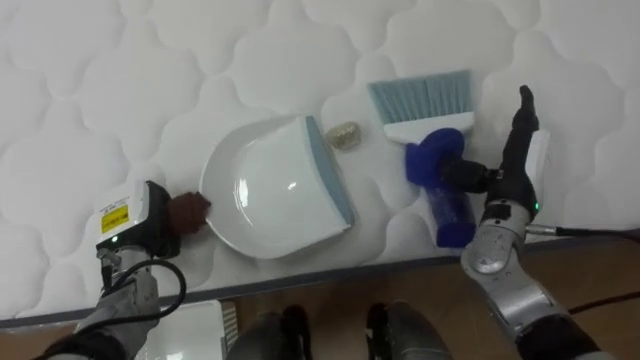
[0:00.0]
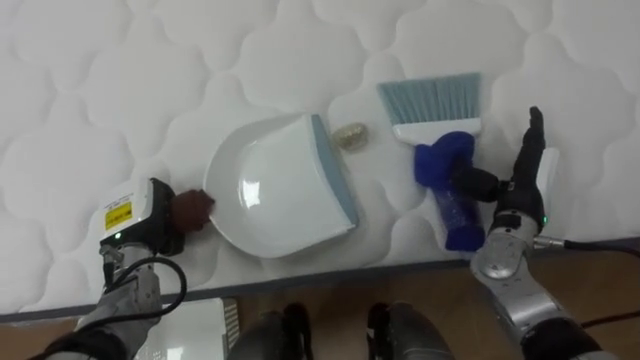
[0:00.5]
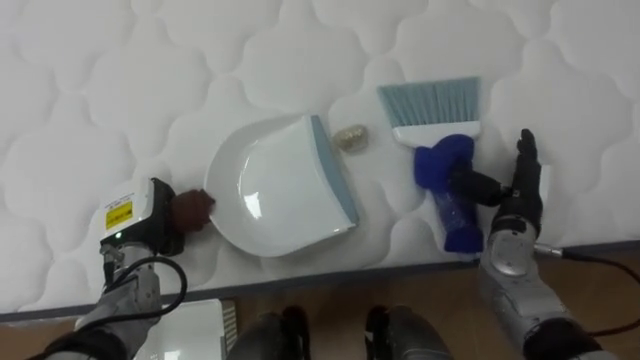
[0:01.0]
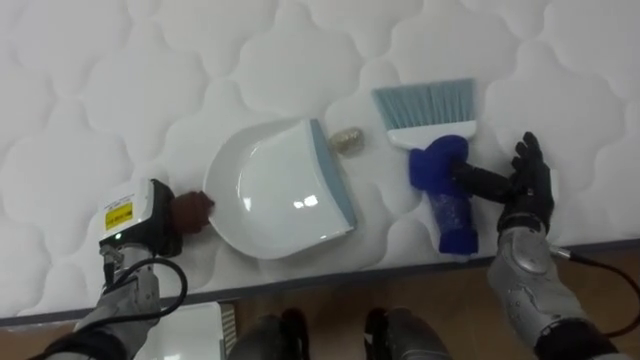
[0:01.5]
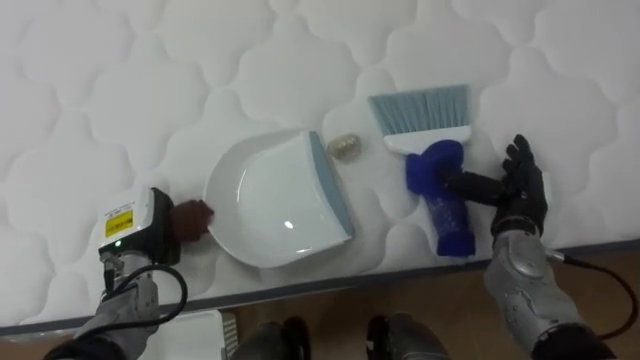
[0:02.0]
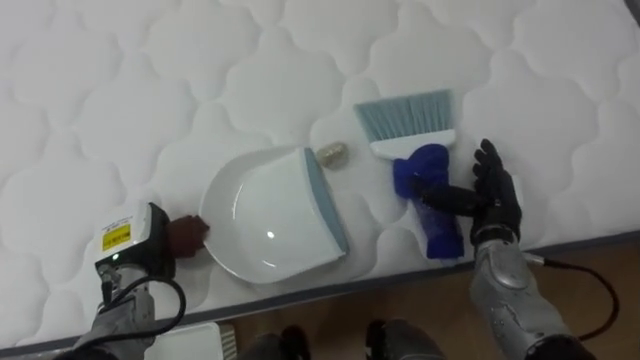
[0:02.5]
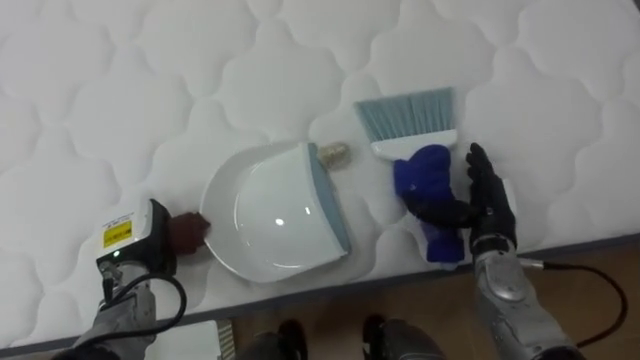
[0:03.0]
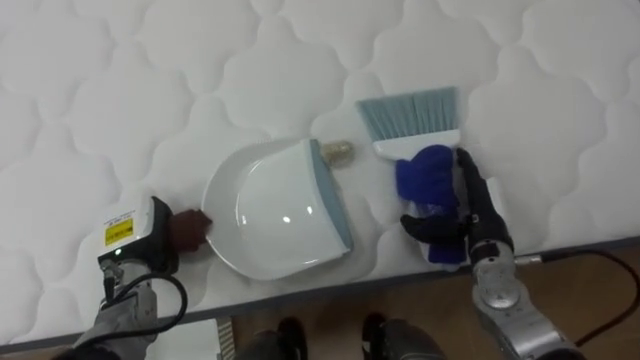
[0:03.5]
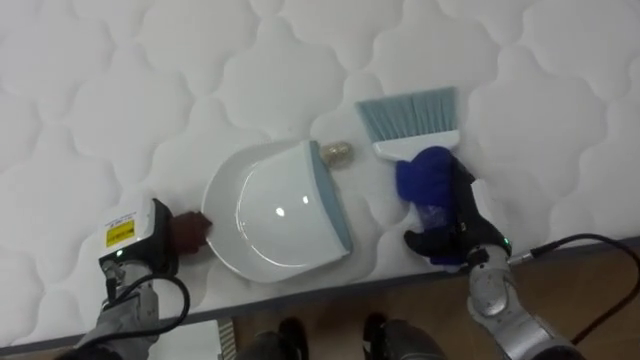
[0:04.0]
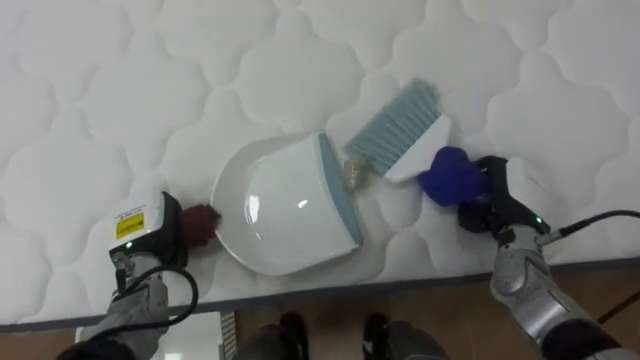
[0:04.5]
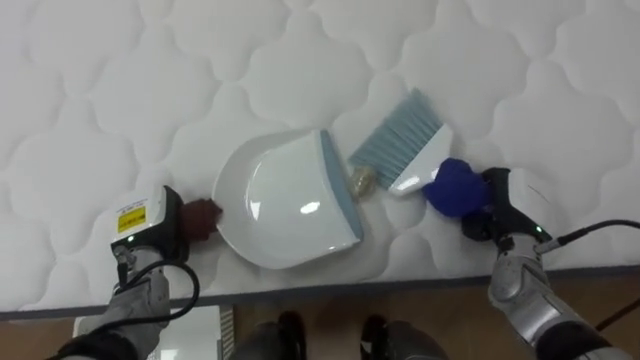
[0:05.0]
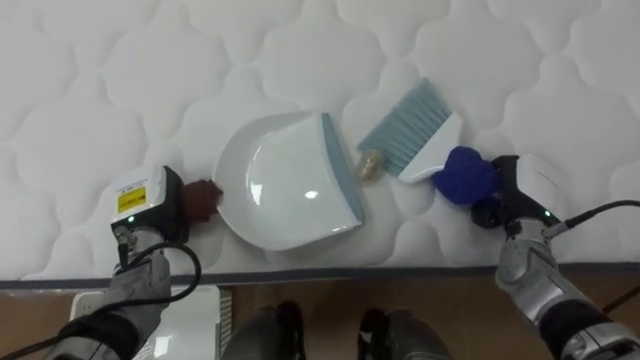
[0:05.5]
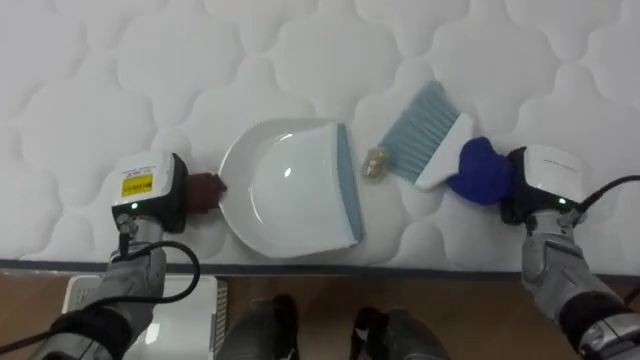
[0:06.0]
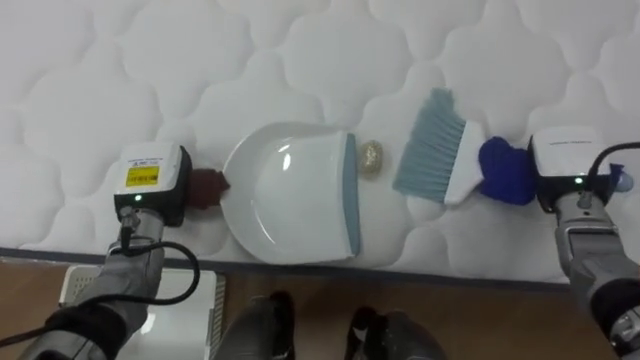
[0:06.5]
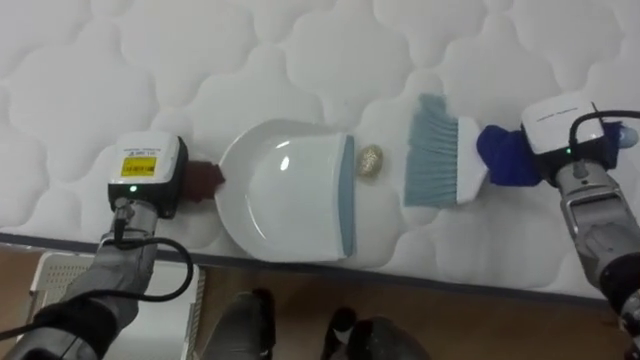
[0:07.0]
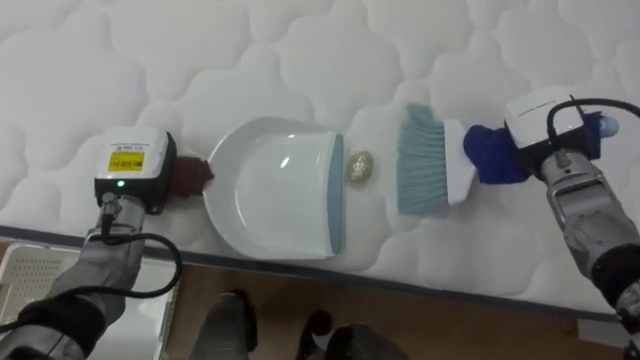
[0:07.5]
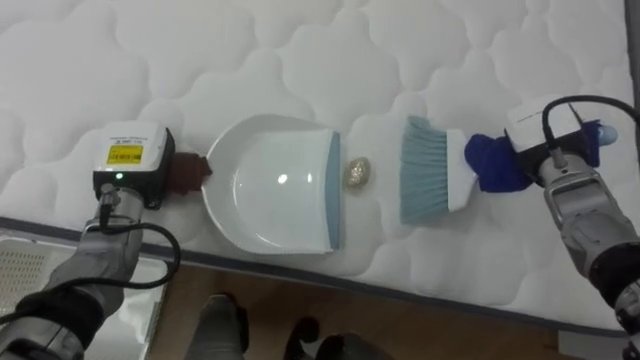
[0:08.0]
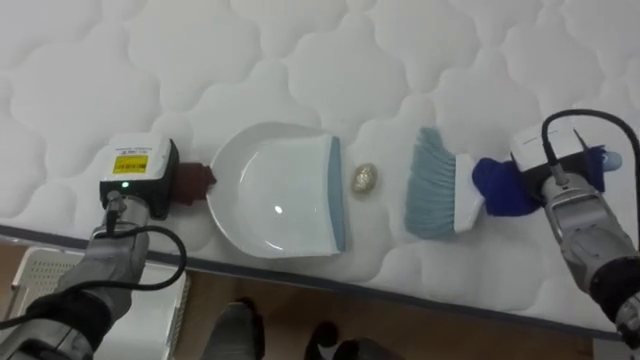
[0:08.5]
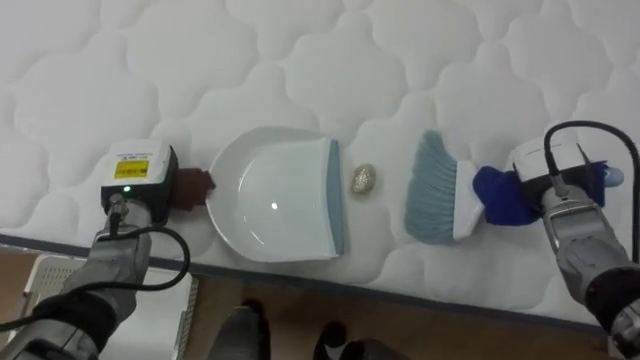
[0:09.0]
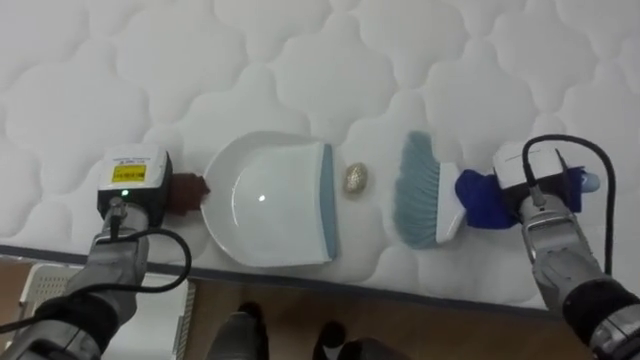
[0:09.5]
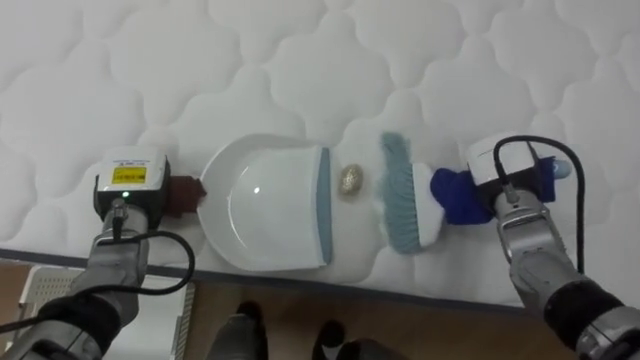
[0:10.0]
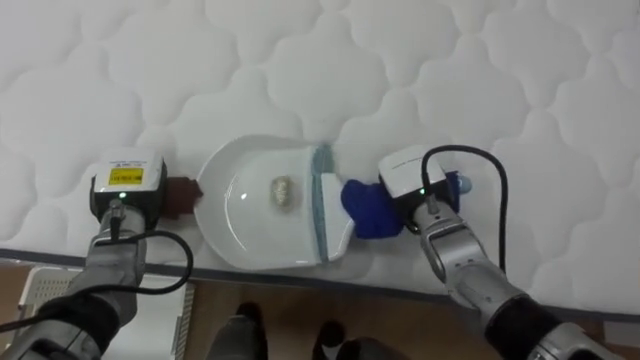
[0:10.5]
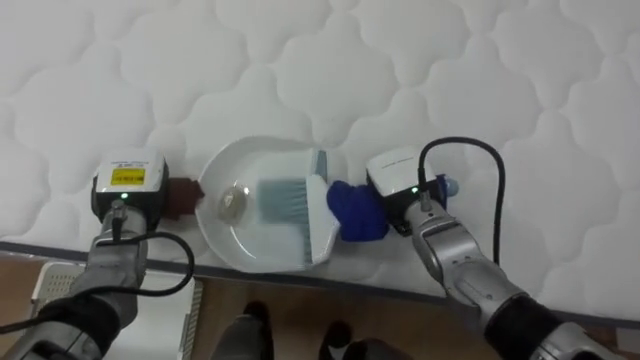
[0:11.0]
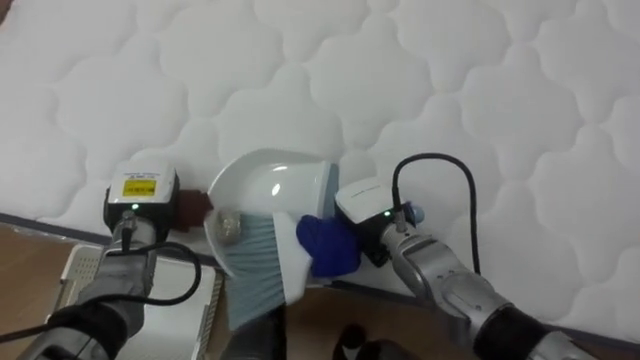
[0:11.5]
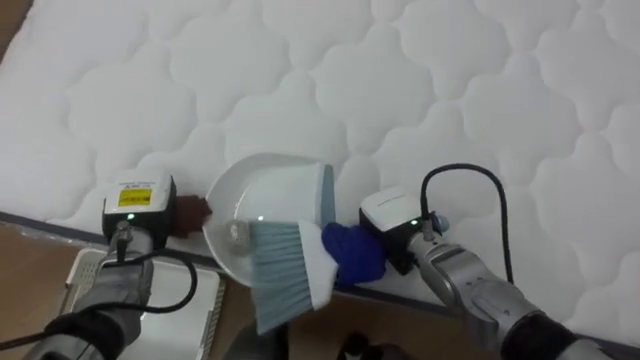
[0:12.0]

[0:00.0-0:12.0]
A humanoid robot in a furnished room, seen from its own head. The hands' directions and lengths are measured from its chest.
Task of the whole recording: Pick up the brush on your right and the dustpan on your left. Use the brush to sweep the crumpled paper on the bed into the dustpan, then turn left and empty it into the basket.
0:00.0 to 0:02.0: The right hand is displaced downward by roughly 5 cm.
0:02.0 to 0:04.0: The right hand changes place by some 5 cm.
0:04.0 to 0:06.0: The left hand changes place by roughly 5 cm. Meanwhile the right hand is displaced to the right by approximately 10 cm, and closes up.
0:06.0 to 0:08.0: The right hand changes place by roughly 5 cm.
0:08.0 to 0:10.0: The right hand heads to the left, covering some 5 cm.
0:10.0 to 0:12.0: The right hand moves to the left, about 15 cm.

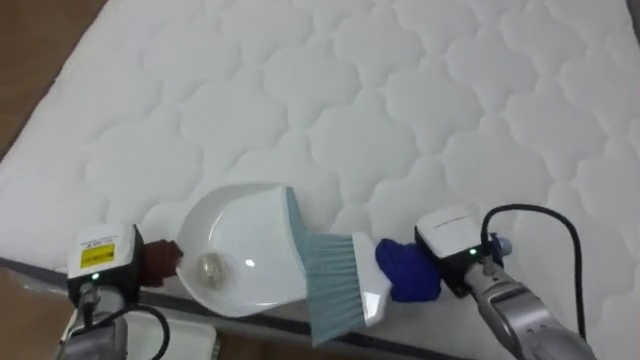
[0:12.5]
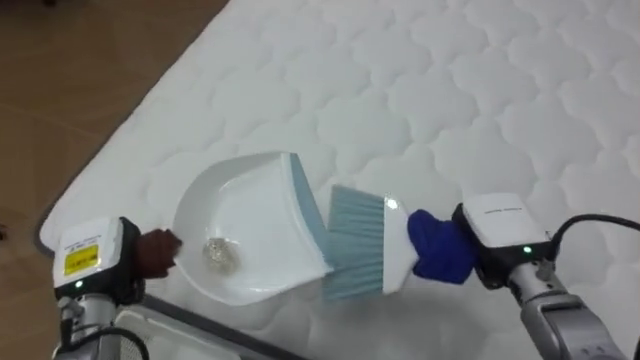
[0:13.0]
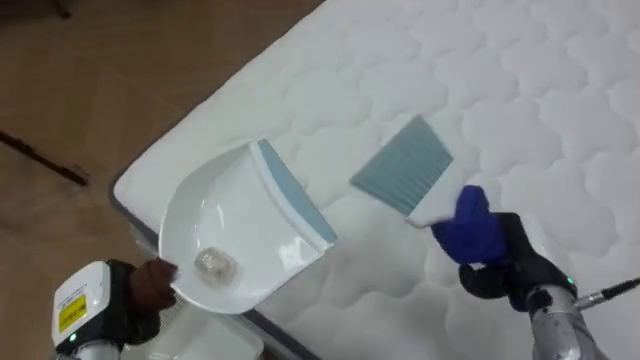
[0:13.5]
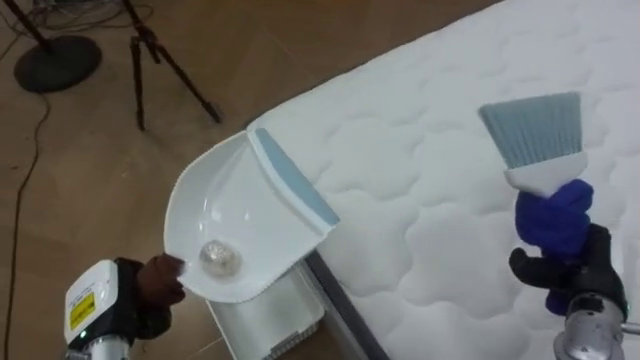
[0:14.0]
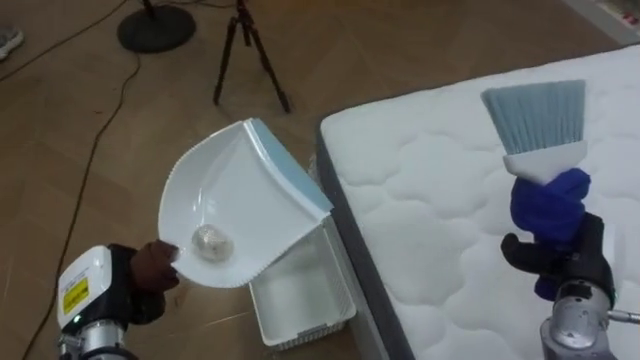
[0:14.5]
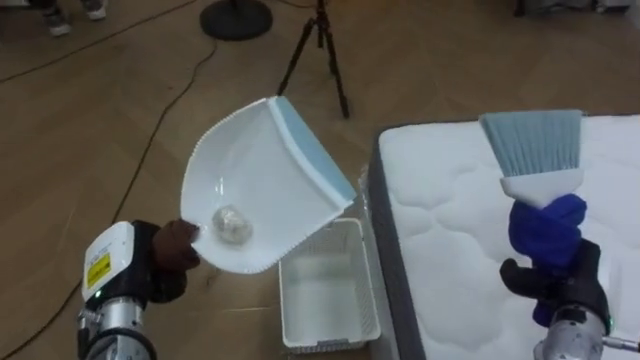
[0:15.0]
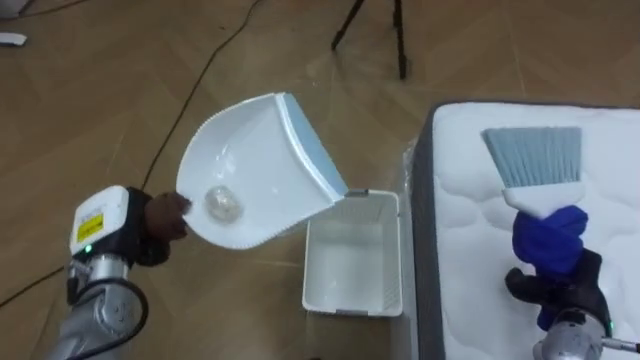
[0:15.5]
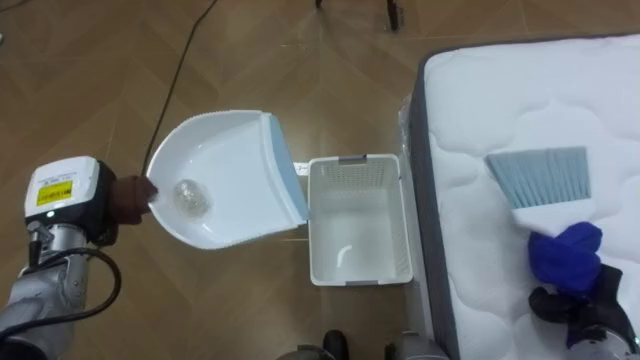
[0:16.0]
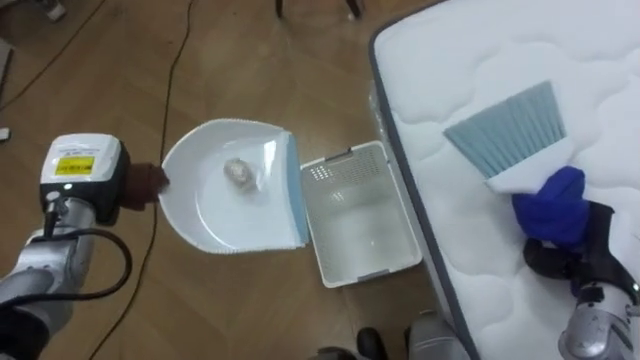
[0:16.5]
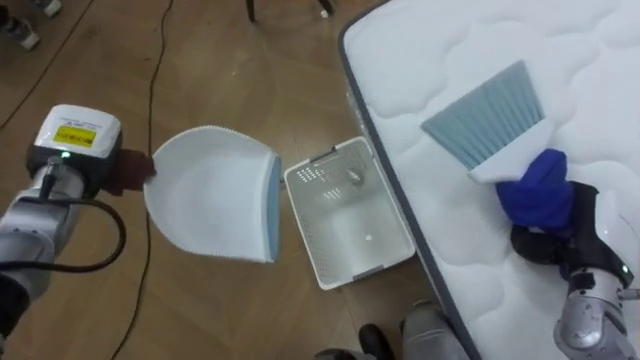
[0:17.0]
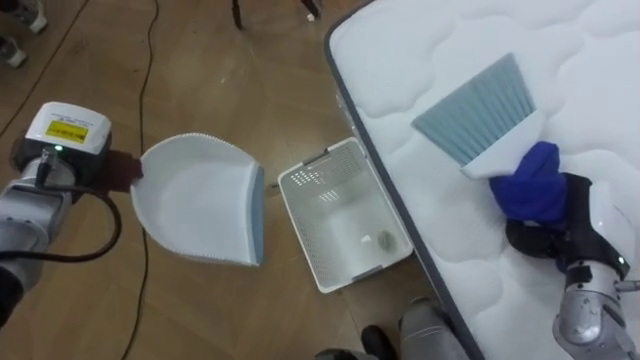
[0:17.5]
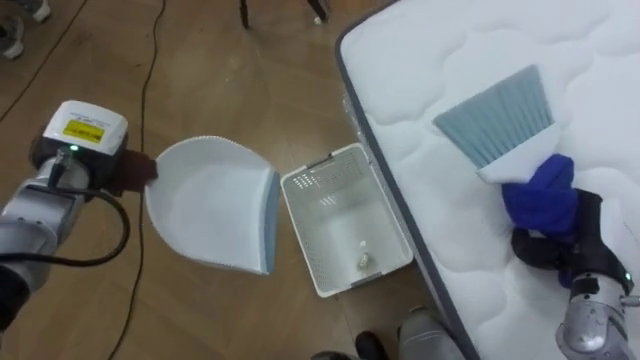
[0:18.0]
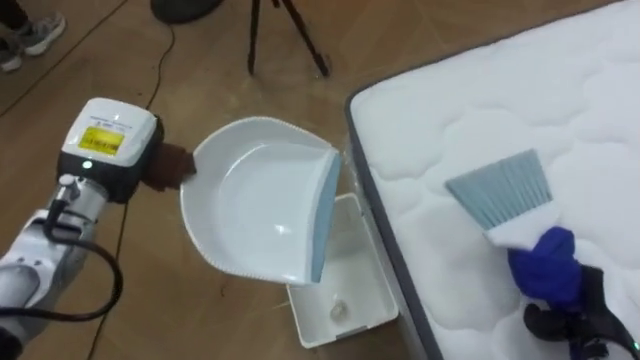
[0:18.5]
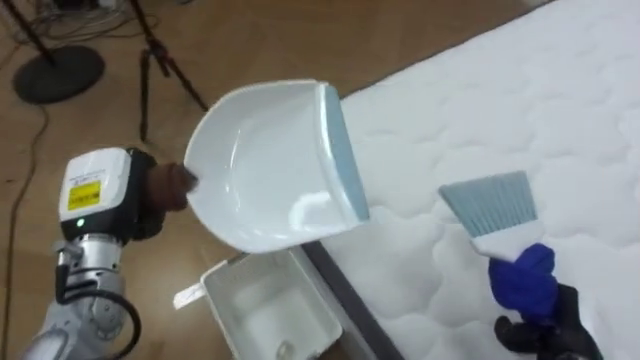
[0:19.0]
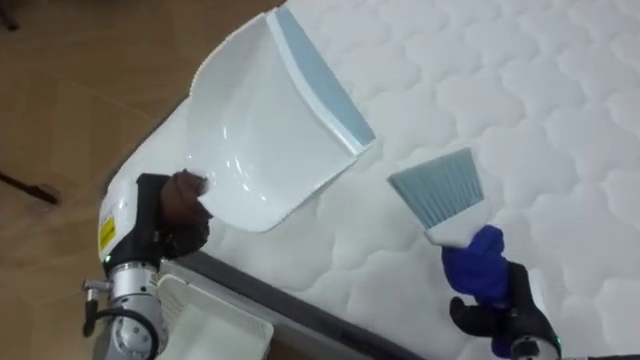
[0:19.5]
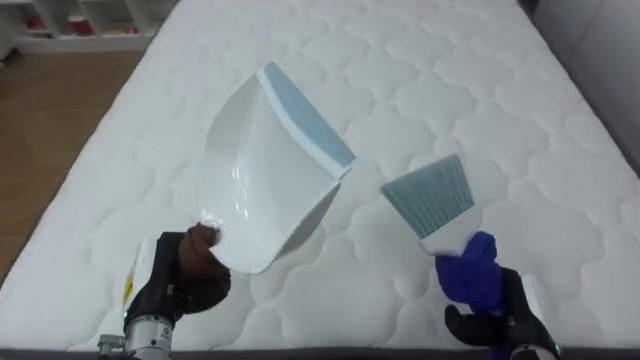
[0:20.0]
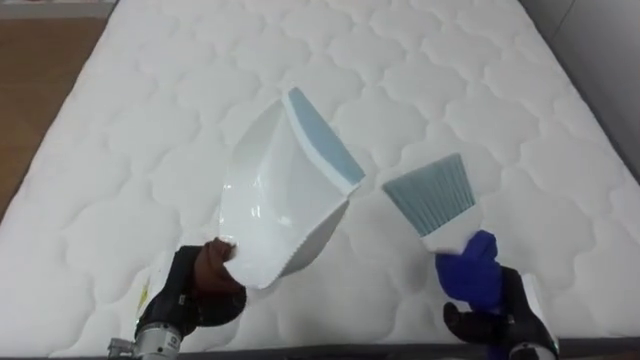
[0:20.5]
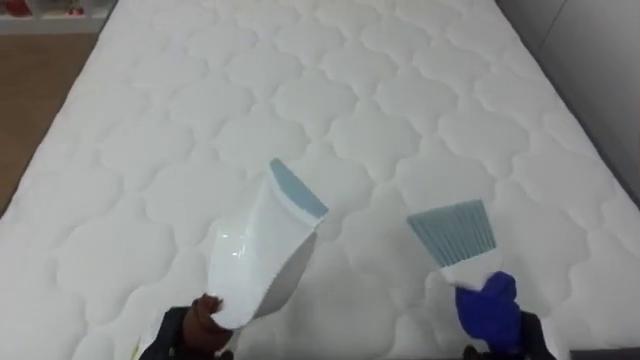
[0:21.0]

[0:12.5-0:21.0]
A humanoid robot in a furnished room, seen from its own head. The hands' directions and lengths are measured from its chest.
Task of the whole recording: Pick up the brush on your right and the dustpan on your left. Use the brush to sweep the crumpled paper on the bed into the dustpan, then turn left and empty it into the basket.
0:12.5 to 0:14.5: The robot's body swings roughly 60 degrees to its left. The left hand heads backward, covering about 5 cm. The right hand travels to the right by approximately 15 cm.
0:14.5 to 0:16.5: The left hand travels forward and upward by approximately 15 cm.
0:16.5 to 0:19.0: The right hand moves backward and downward, about 10 cm; the left hand ends up about 5 cm from where it was.
0:19.0 to 0:21.0: The robot rotates approximately 60 degrees to its right. The left hand goes approximately 20 cm downward and backward.
